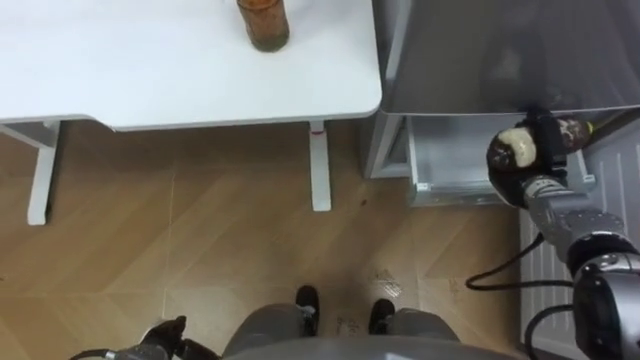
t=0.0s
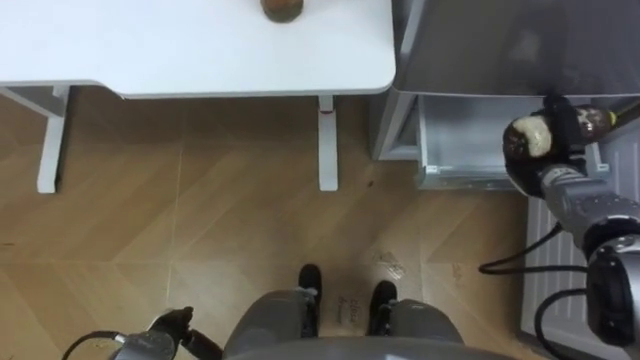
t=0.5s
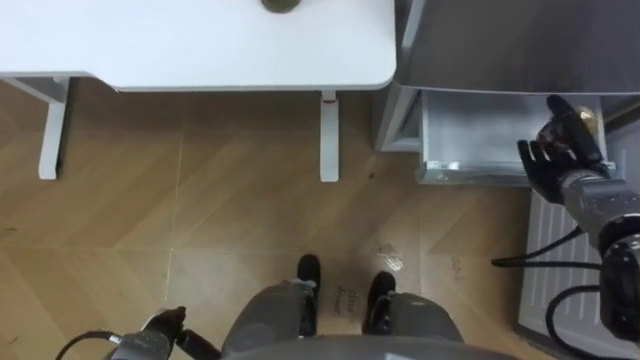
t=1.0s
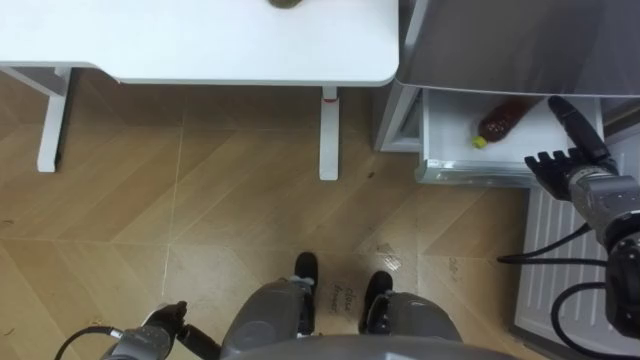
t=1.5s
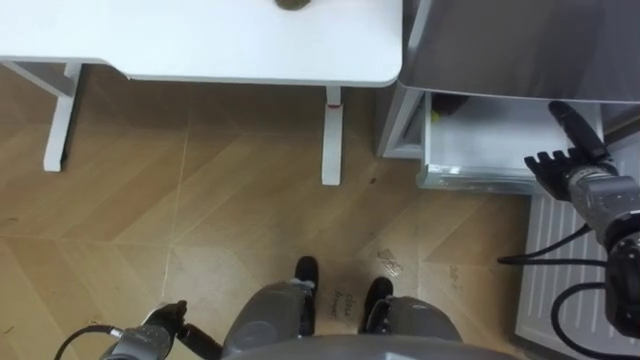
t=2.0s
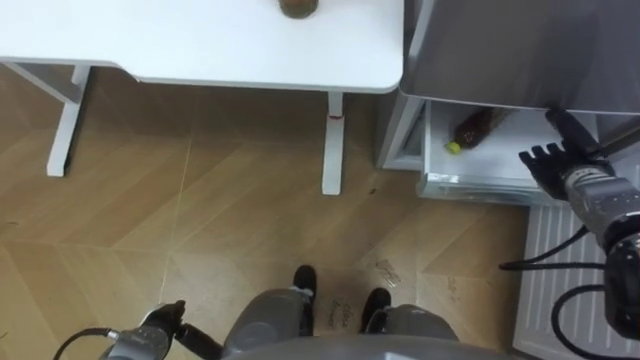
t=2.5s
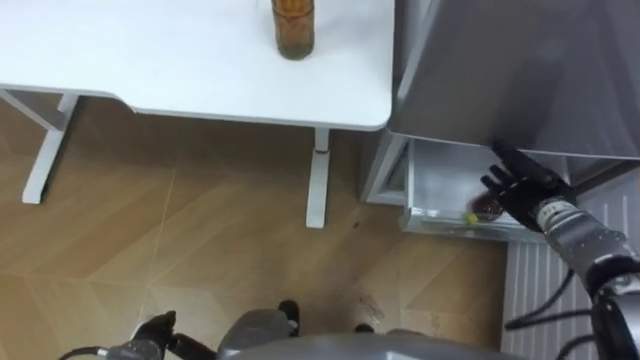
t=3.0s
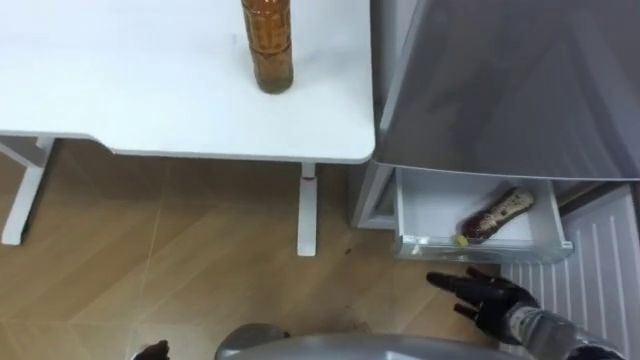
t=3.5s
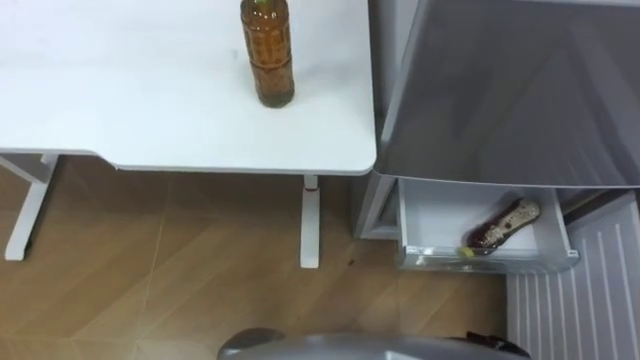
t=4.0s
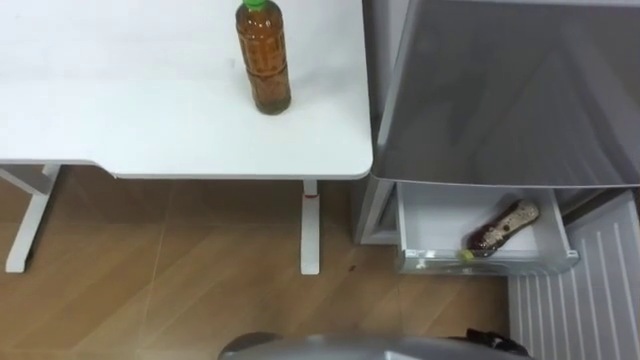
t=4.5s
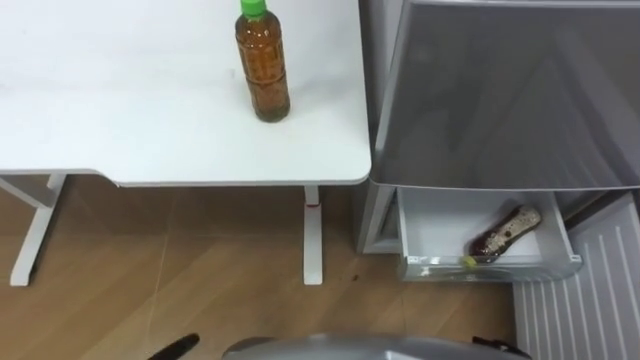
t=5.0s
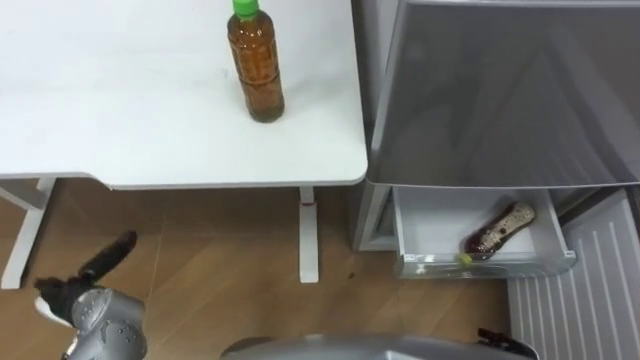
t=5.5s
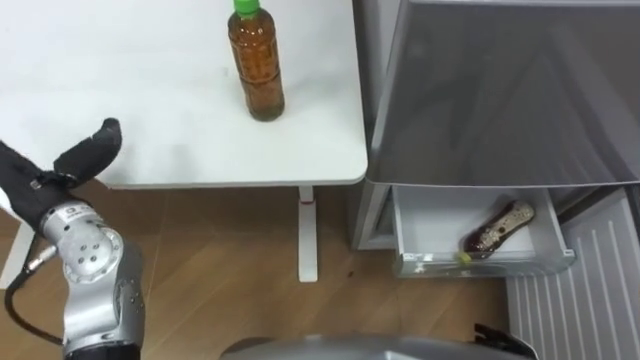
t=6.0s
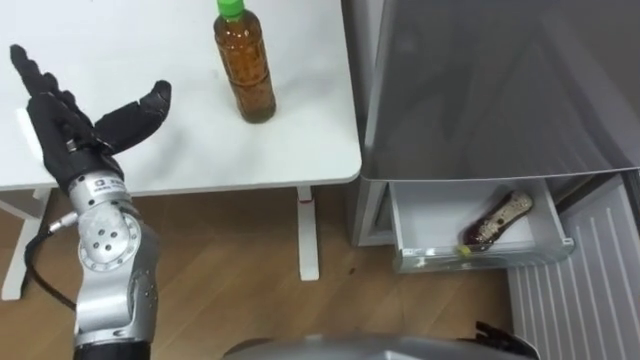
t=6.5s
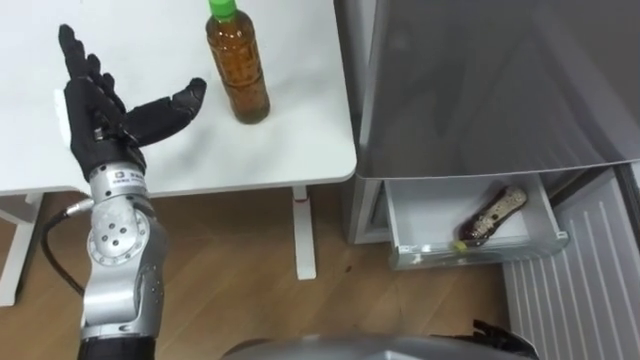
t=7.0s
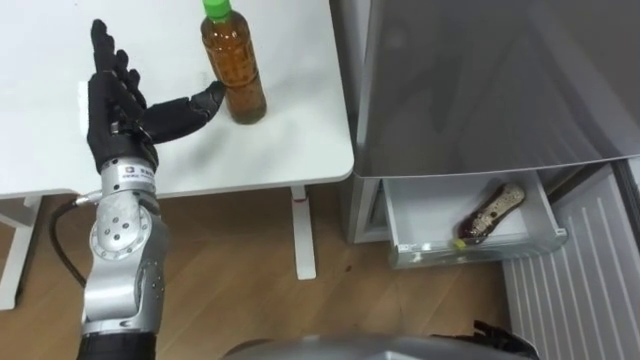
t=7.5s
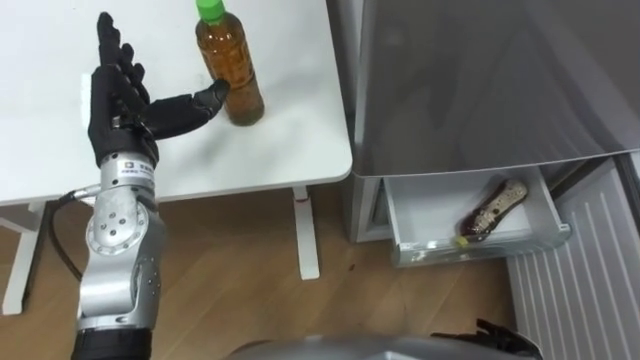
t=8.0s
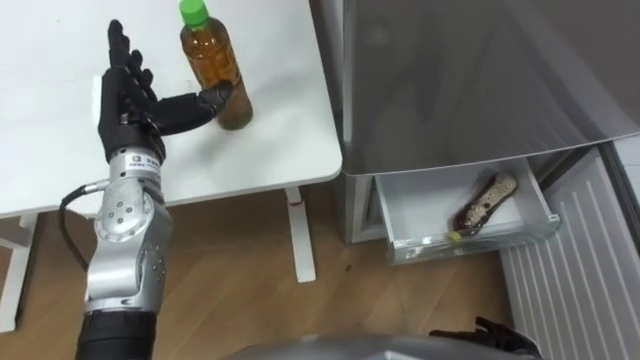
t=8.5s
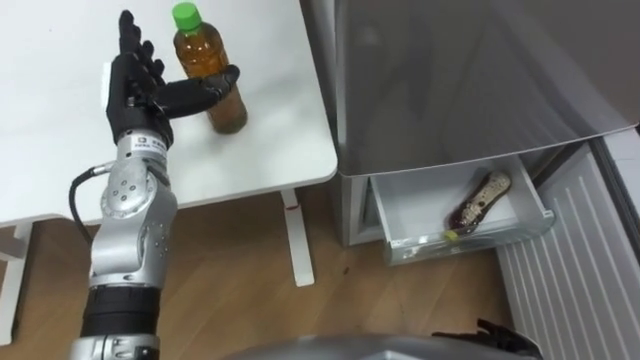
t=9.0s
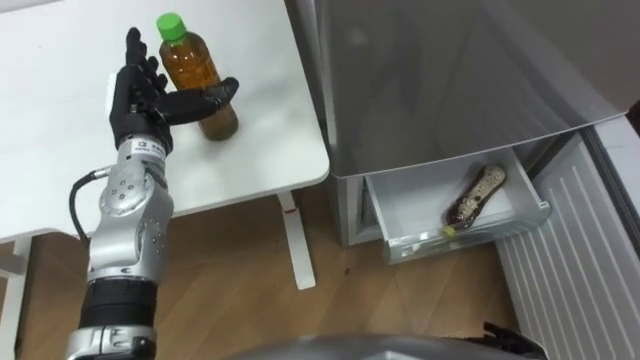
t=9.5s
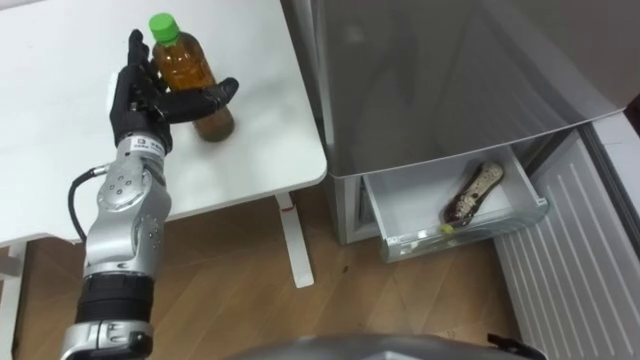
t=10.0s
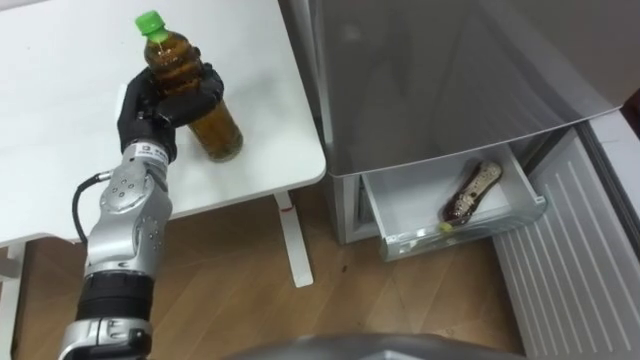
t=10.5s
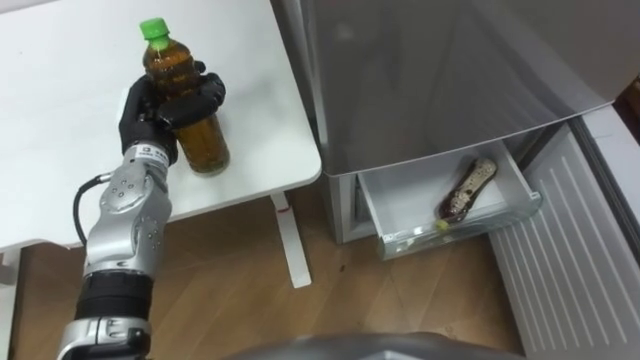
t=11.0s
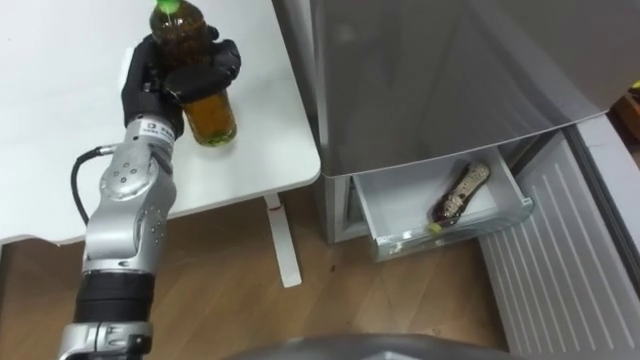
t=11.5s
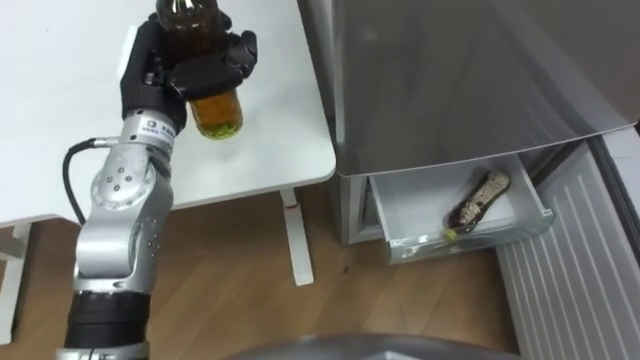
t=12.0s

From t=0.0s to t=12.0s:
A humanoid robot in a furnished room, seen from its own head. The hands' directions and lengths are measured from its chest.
Task of the whole recording: Place the drink on the table on the bottom shelf of the refrigerator, then close the drawer and the refrigerator door.
From t=0.0s to t=2.0s: The right hand travels to the right by roughly 5 cm, and opens.
From t=6.0s to t=8.0s: The left hand shifts some 10 cm to the right and forward.
From t=8.0s to t=10.0s: The left hand shifts by about 5 cm.
From t=10.0s to t=12.0s: The left hand travels upward by some 5 cm, and closes its fingers.

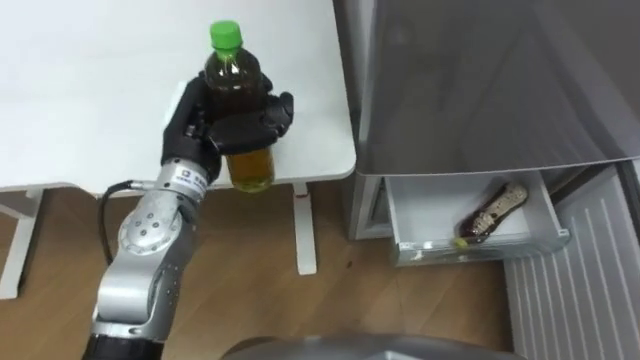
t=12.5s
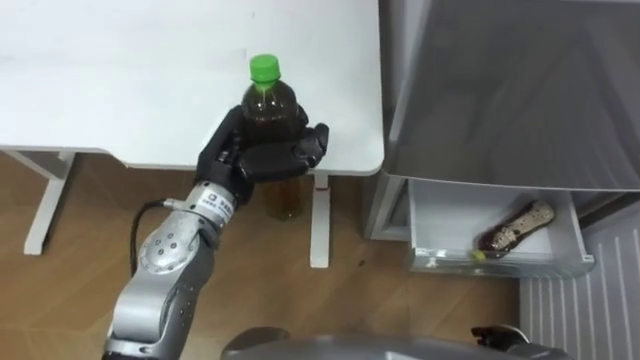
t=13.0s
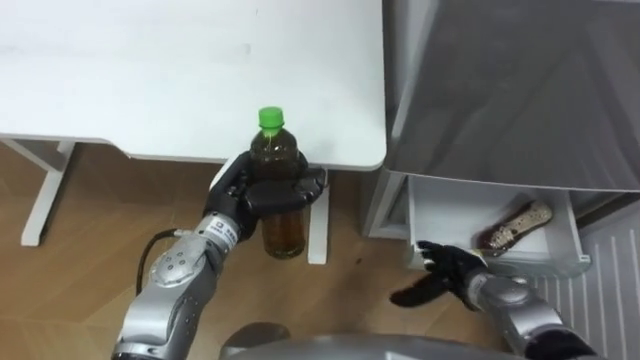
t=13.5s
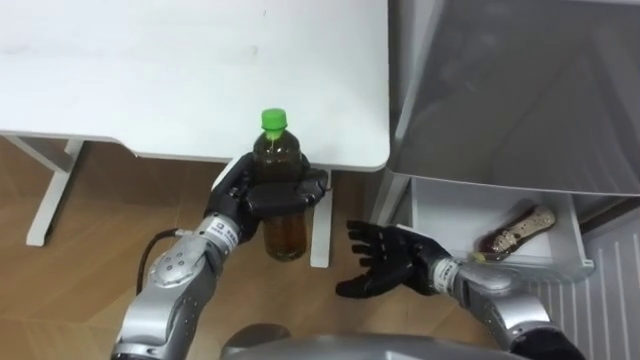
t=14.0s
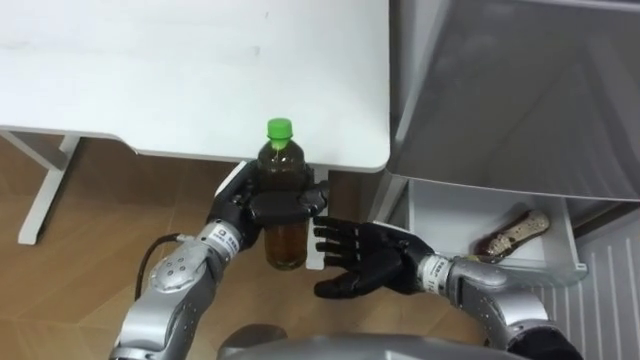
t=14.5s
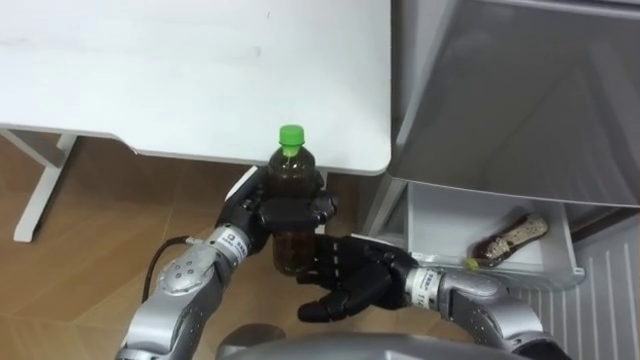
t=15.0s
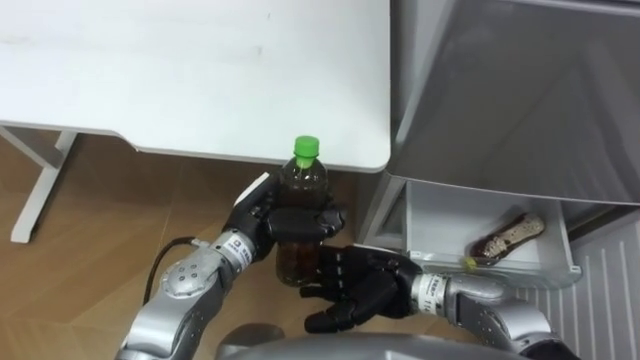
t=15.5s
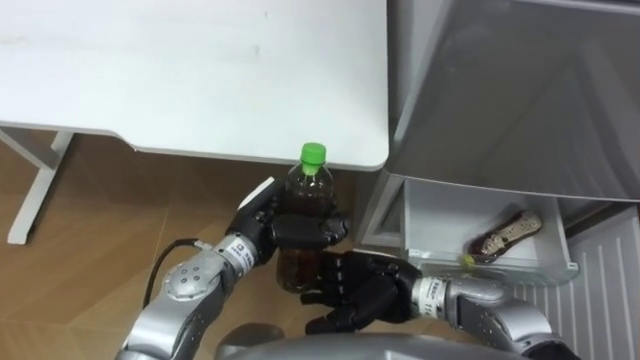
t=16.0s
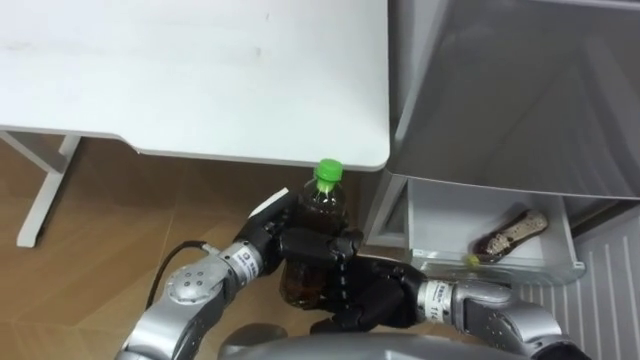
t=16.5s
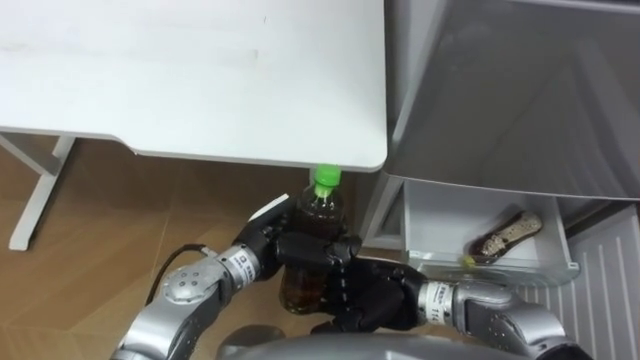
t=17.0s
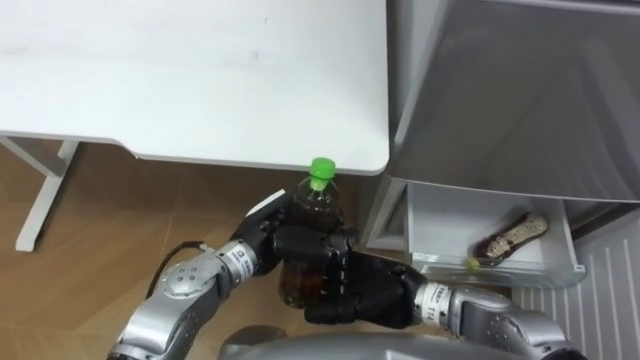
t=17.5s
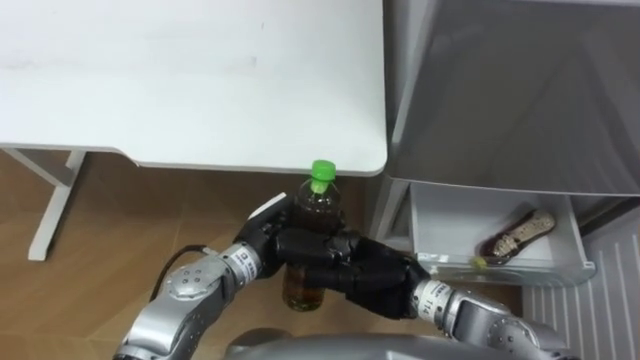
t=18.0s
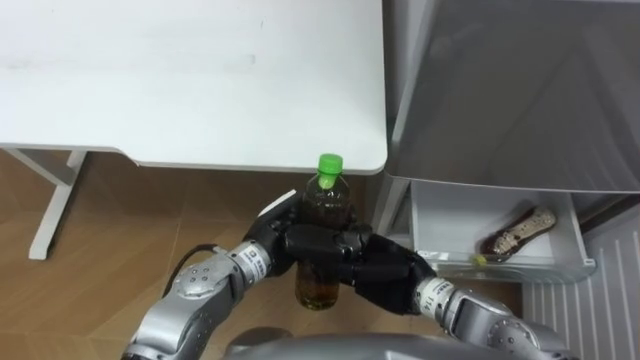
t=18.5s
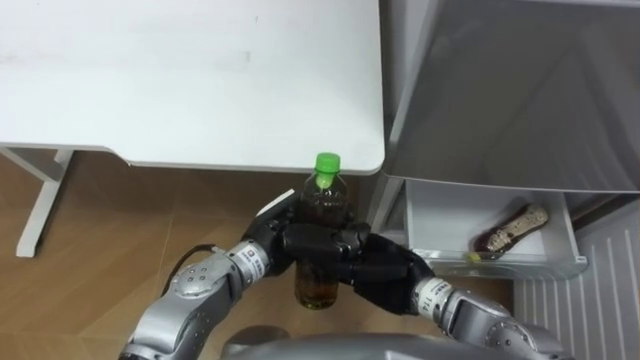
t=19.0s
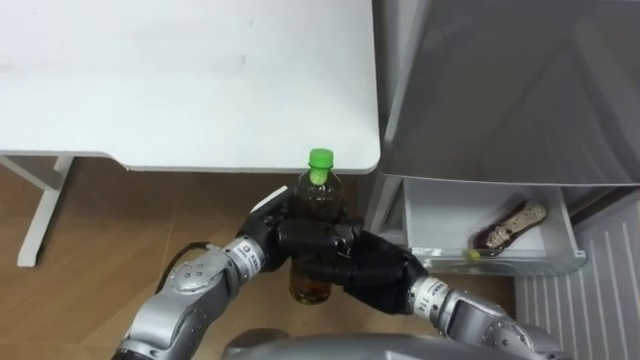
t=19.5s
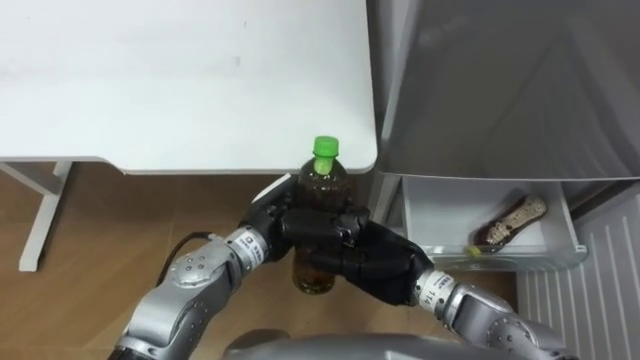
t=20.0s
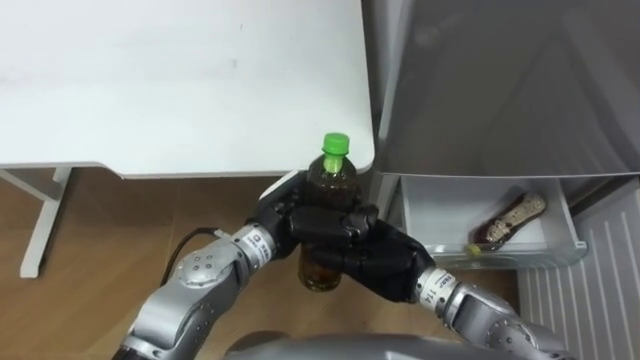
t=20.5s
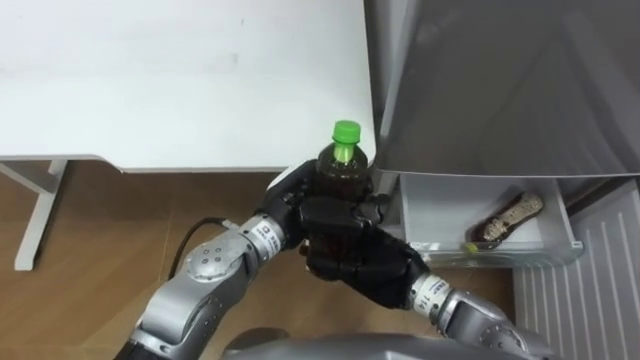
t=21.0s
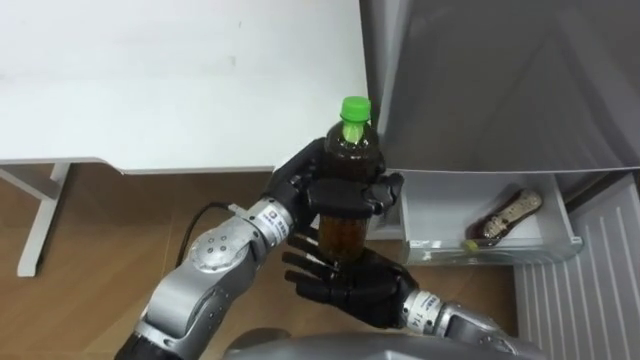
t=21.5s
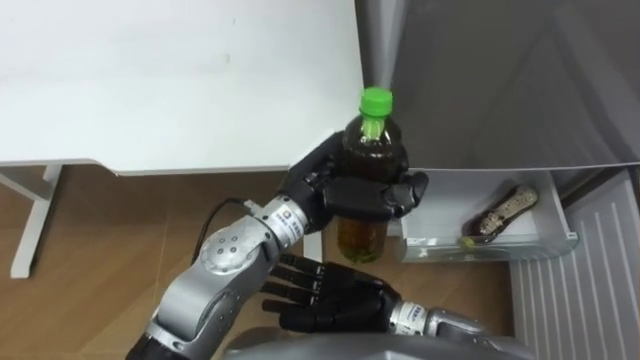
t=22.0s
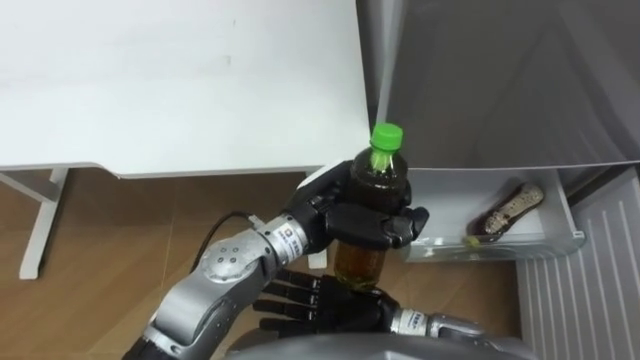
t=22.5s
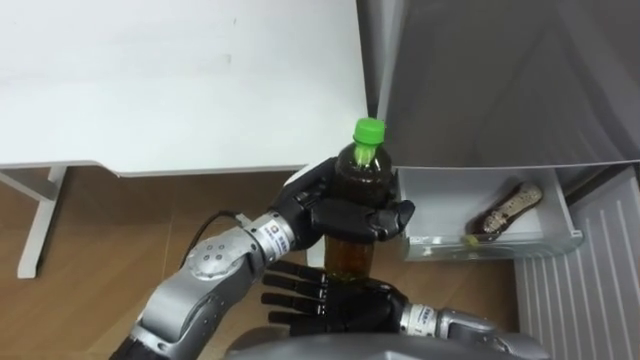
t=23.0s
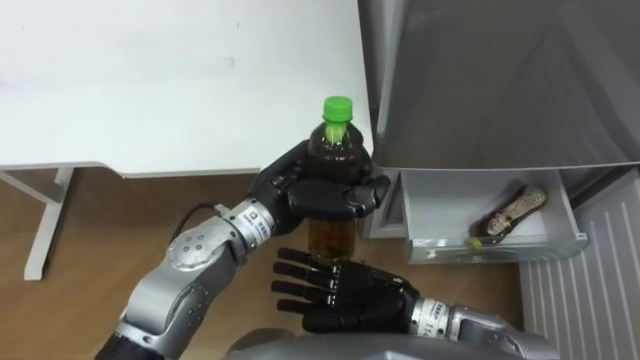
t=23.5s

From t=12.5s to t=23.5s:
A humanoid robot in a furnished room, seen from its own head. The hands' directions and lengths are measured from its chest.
Task of the whole recording: Place the drink on the table on the bottom shelf of the refrigerator, then close the drawer and the refrigerator door.
From t=12.5s to t=14.5s: The left hand shifts about 10 cm downward and backward.
From t=14.5s to t=16.0s: The hands stay close to where they were, moving slightly.
From t=20.0s to t=21.5s: The left hand shifts roughly 5 cm upward.
From t=21.5s to t=23.5s: The hands move only a little.
